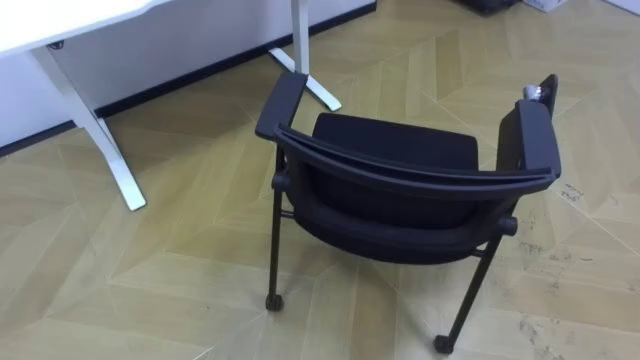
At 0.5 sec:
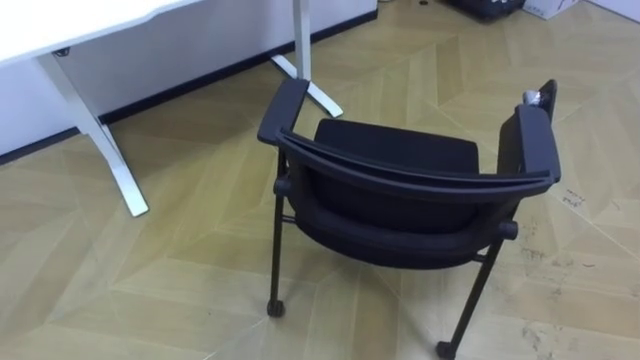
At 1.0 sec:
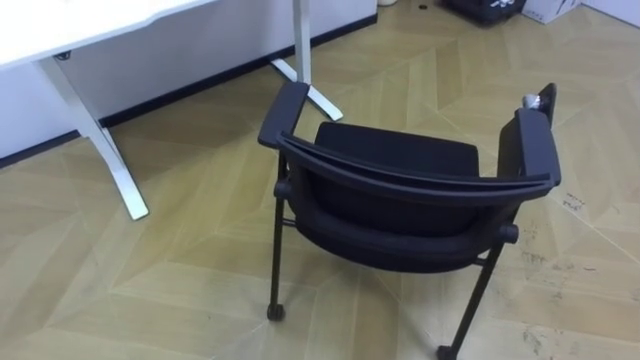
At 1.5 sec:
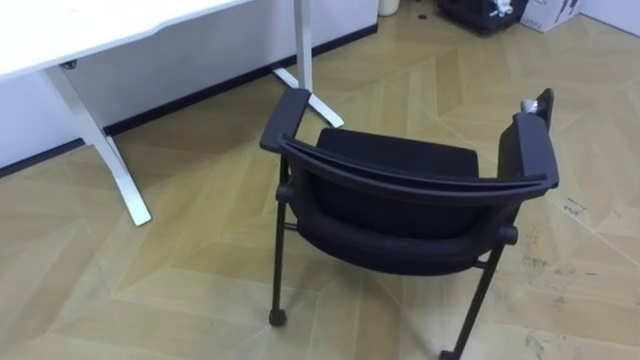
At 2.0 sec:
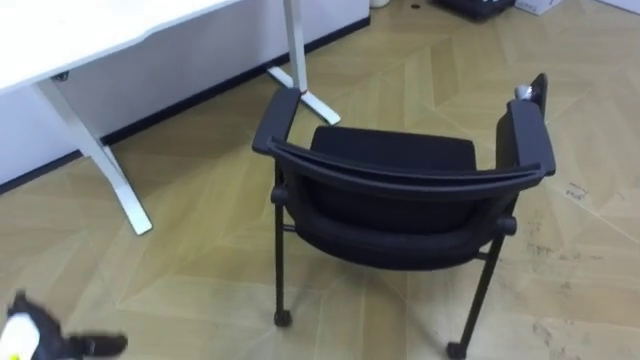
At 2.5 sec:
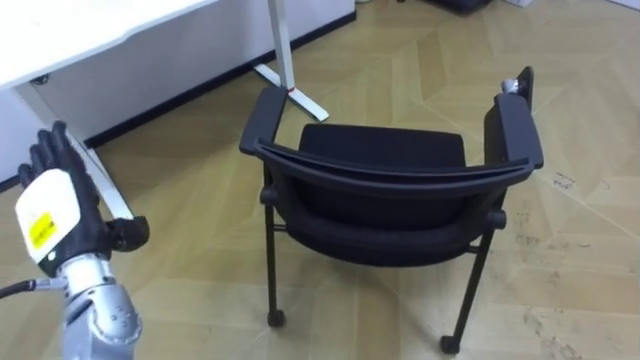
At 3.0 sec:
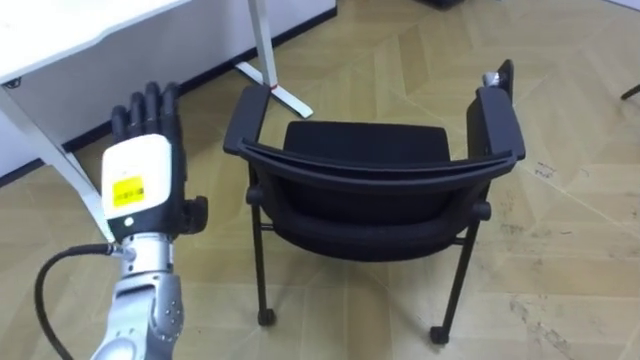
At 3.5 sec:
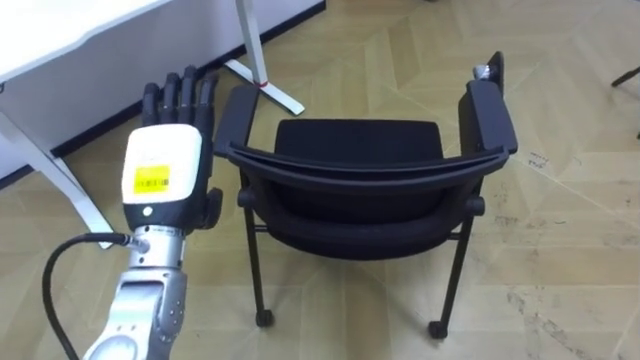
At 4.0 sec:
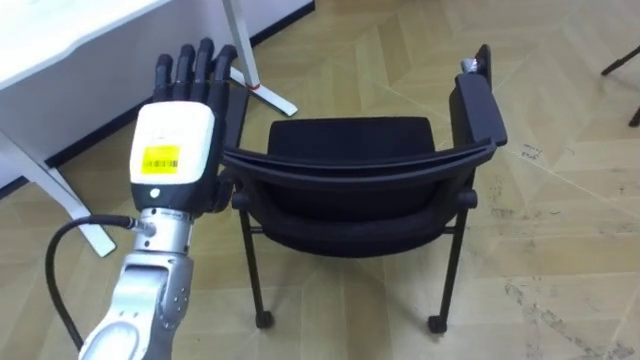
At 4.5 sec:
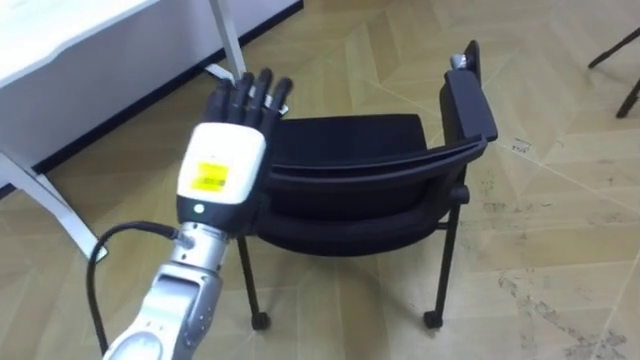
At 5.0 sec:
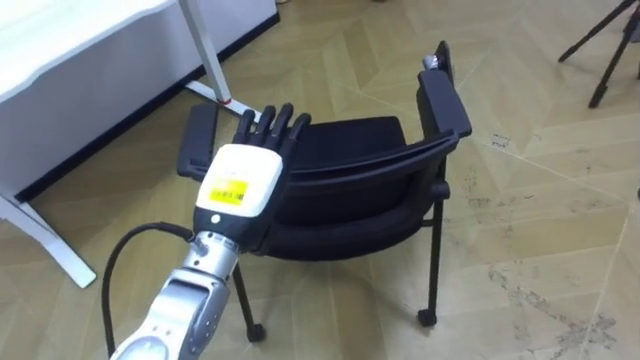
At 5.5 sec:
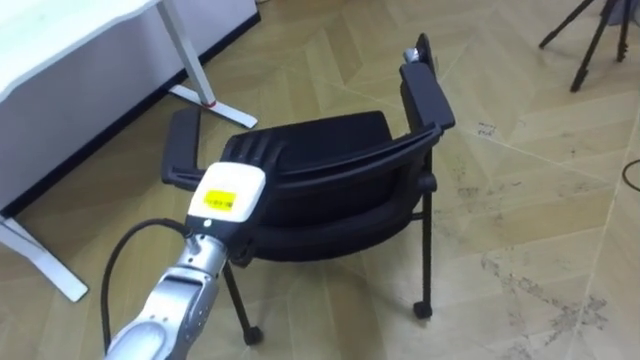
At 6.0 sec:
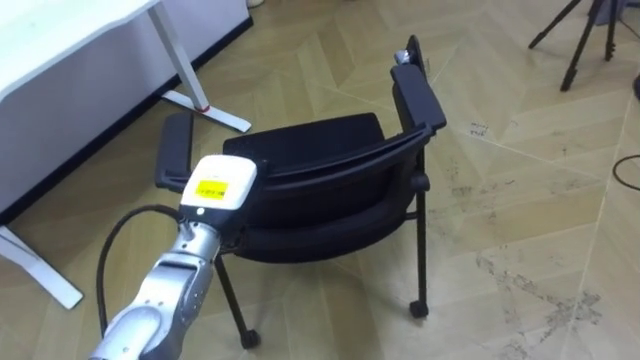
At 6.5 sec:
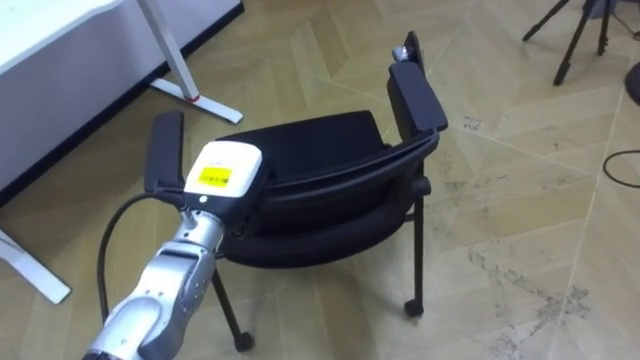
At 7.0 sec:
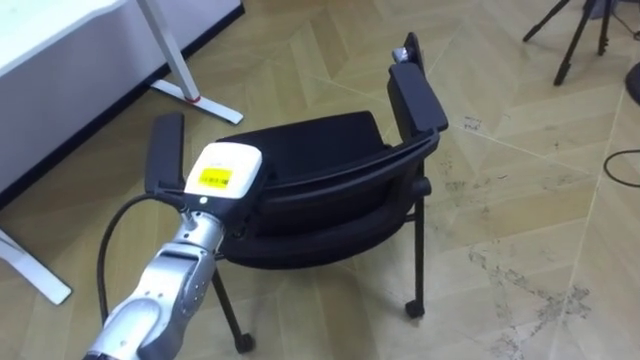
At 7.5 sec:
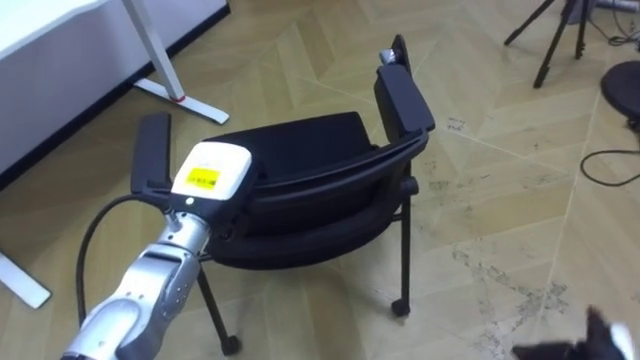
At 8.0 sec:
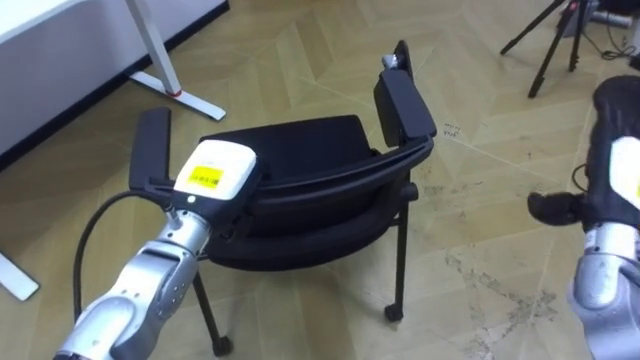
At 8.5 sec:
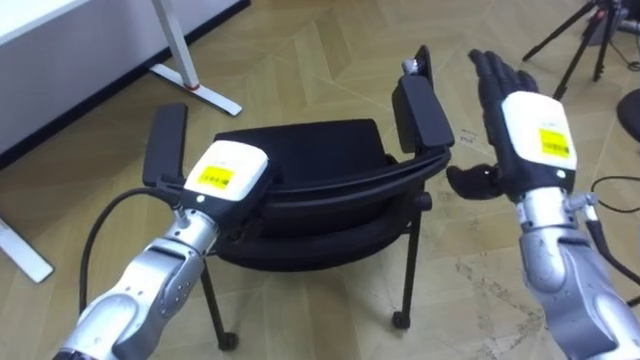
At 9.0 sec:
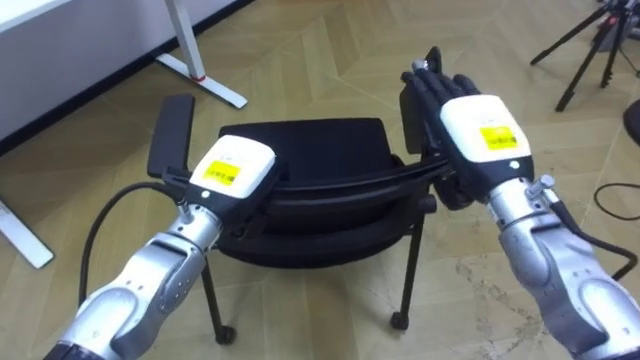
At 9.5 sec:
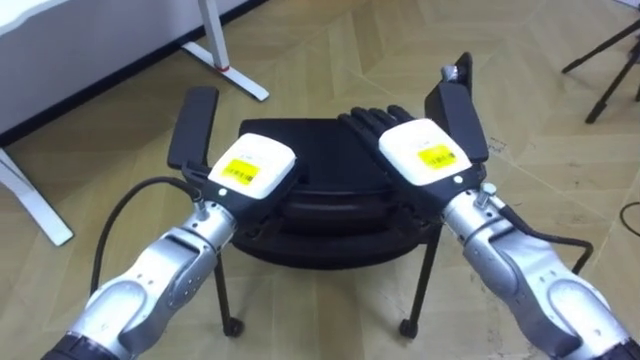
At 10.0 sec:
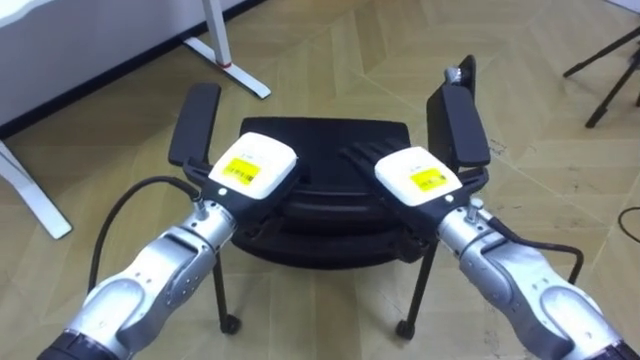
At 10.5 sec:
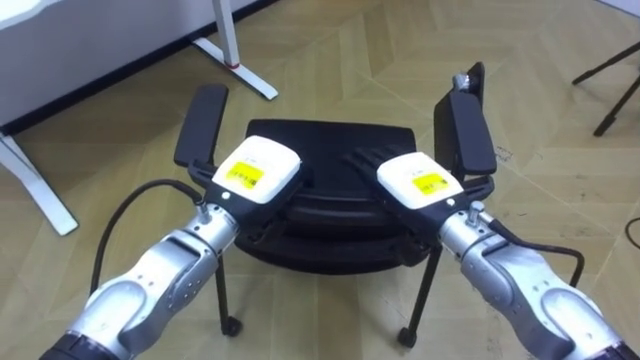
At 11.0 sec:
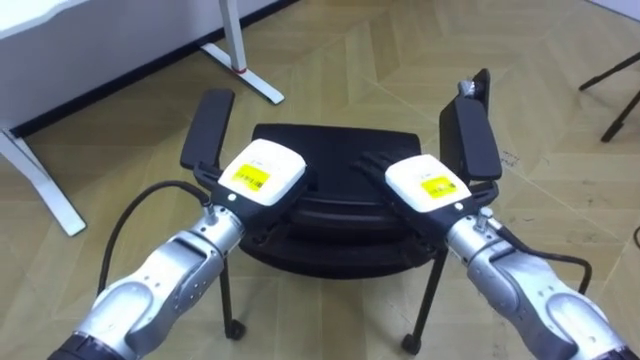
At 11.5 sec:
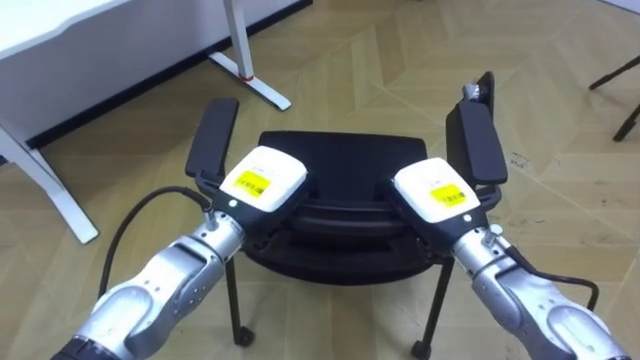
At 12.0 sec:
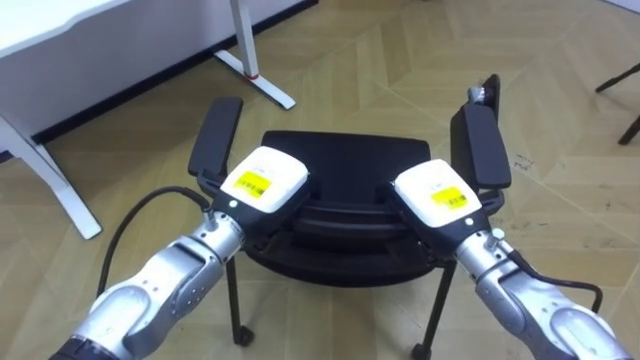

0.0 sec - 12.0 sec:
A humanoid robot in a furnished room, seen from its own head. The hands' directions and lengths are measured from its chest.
Task of the whole recording: Push the chair under the table.
2.0 sec - 4.0 sec: The left hand moves upward, to the right and forward, approximately 35 cm.
4.0 sec - 6.0 sec: The left hand goes roughly 10 cm downward, and closes its fingers.
6.0 sec - 8.0 sec: The left hand closes its fingers.
8.0 sec - 10.0 sec: The right hand is displaced to the left by some 25 cm.
10.0 sec - 12.0 sec: The right hand closes.

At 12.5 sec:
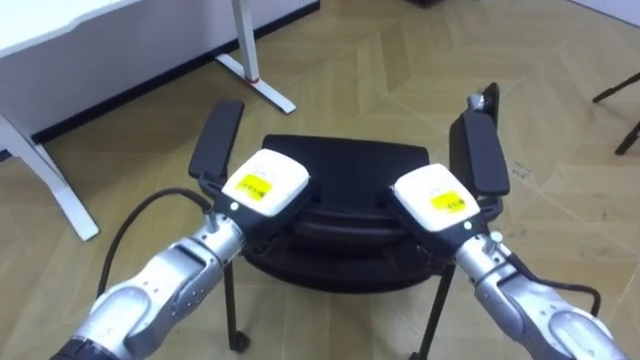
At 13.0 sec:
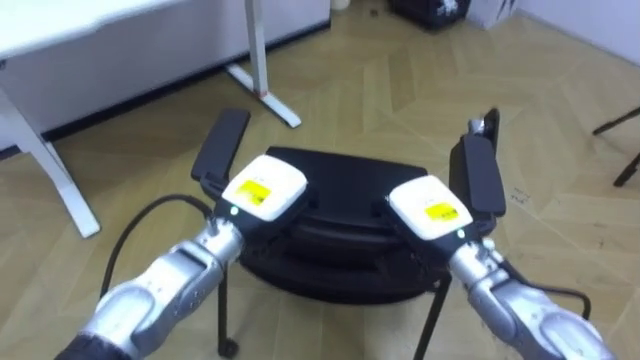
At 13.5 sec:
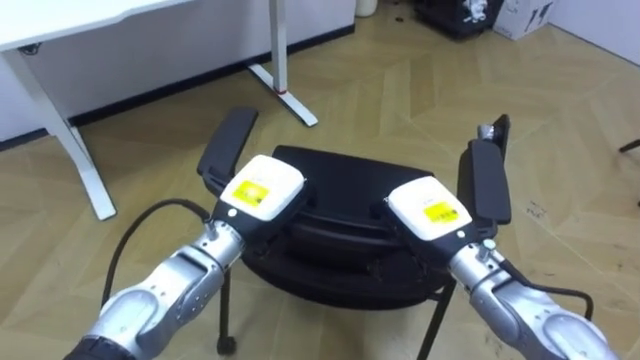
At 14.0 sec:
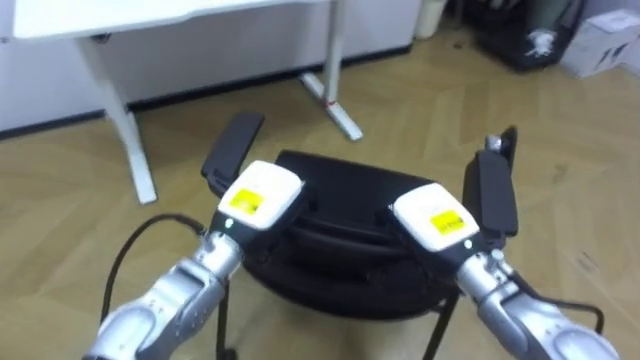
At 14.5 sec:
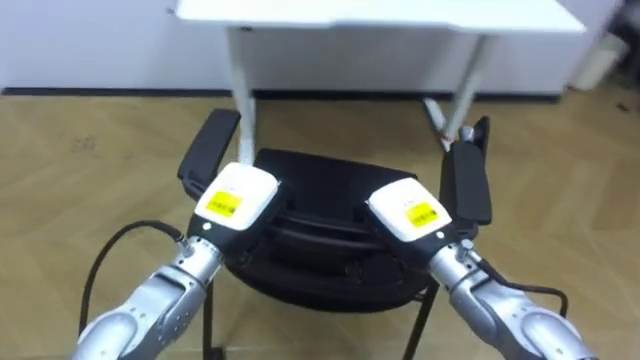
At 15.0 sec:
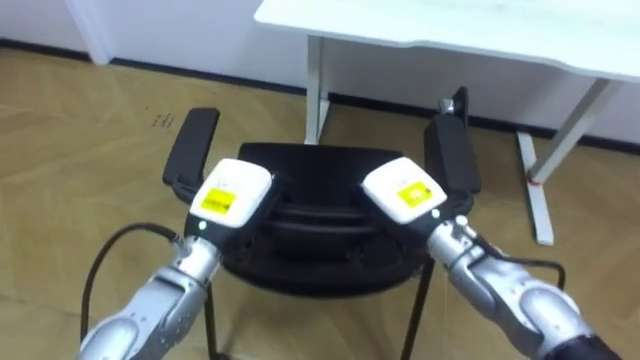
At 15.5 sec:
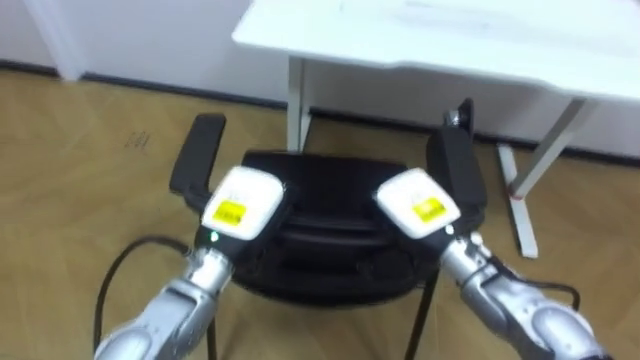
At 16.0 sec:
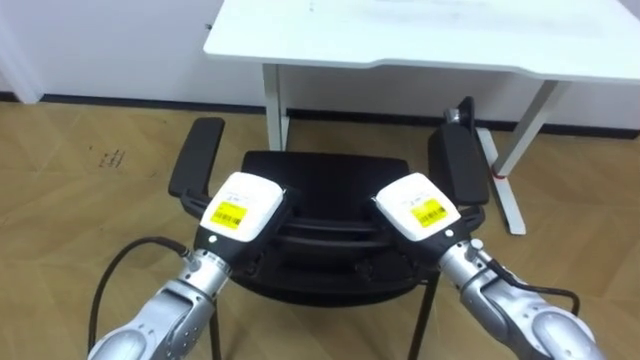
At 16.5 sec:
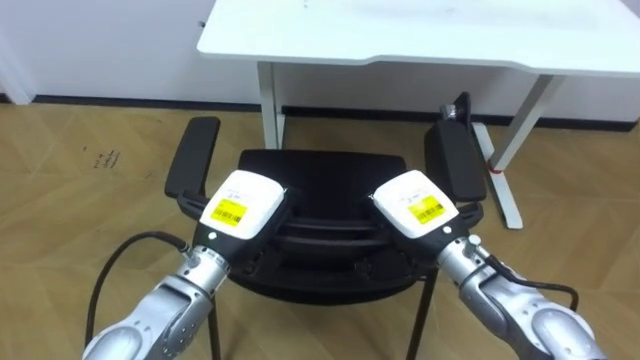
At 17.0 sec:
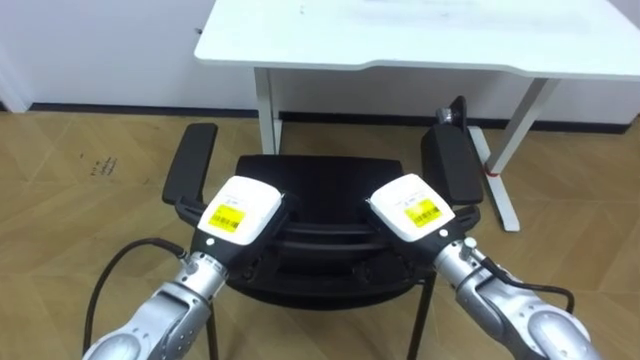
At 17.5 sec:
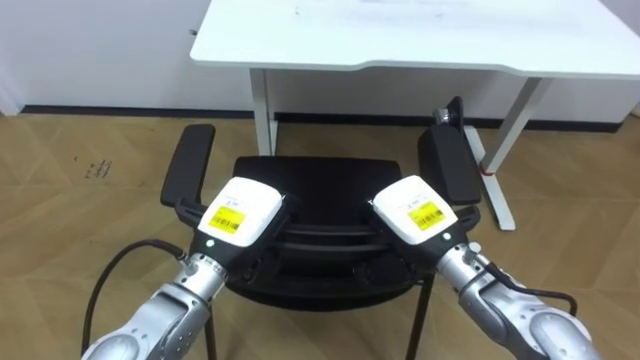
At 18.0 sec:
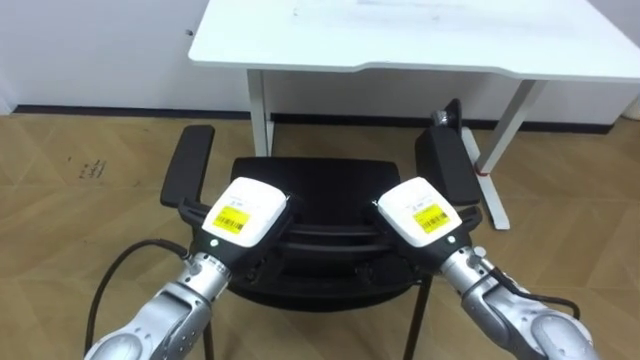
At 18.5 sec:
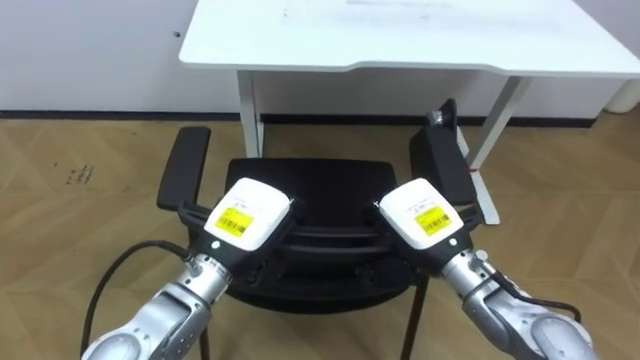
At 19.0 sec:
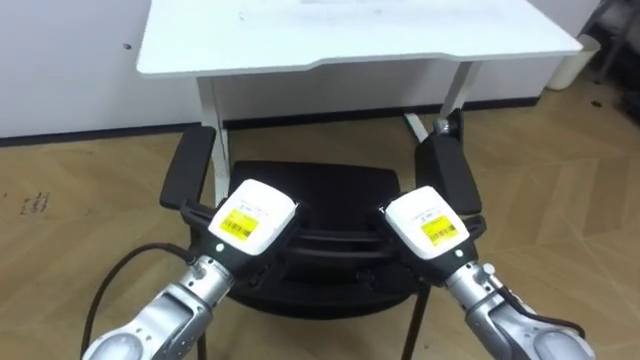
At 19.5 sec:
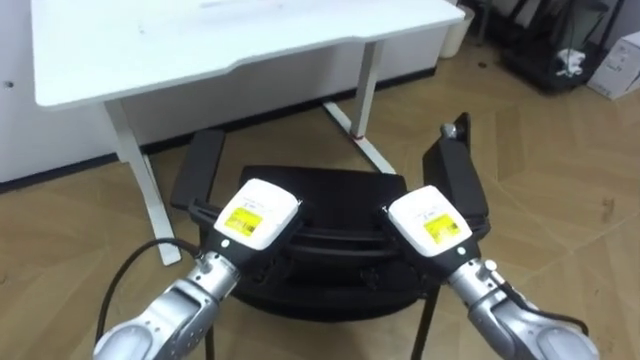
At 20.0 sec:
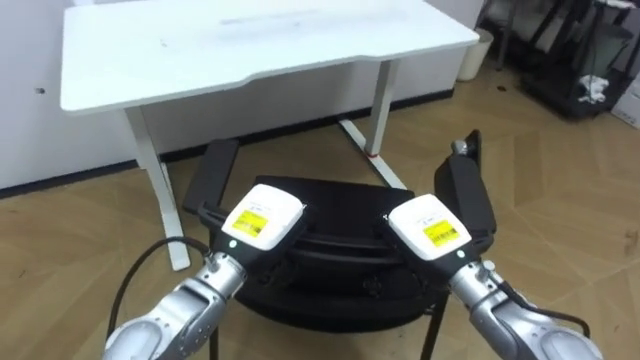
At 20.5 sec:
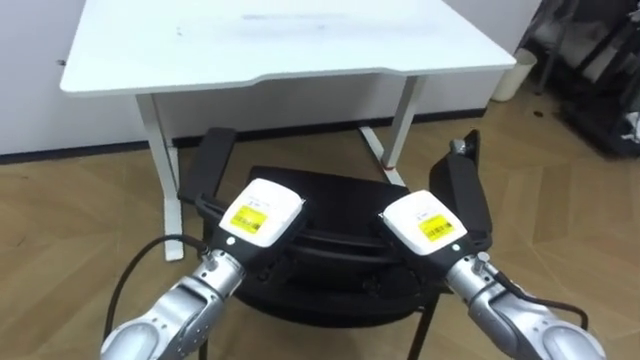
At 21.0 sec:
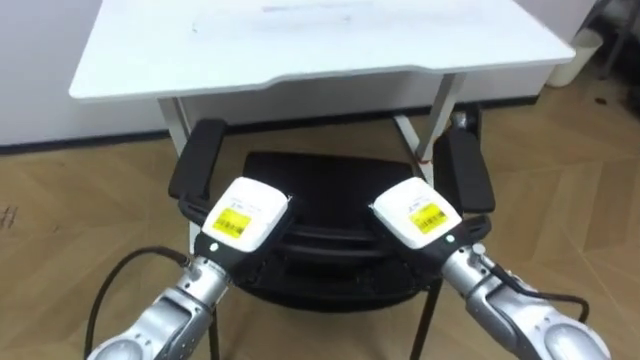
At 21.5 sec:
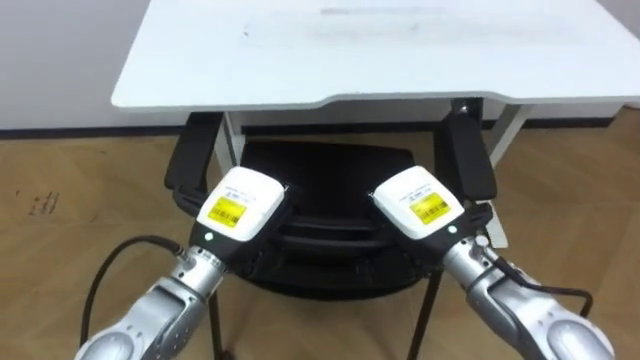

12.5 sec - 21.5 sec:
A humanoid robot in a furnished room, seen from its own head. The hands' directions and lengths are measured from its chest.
Task of the whole recording: Push the chair under the table.
12.5 sec - 14.5 sec: The robot turns to its left by about 25 degrees.
17.0 sec - 19.5 sec: The robot rotates some 20 degrees to its right.
